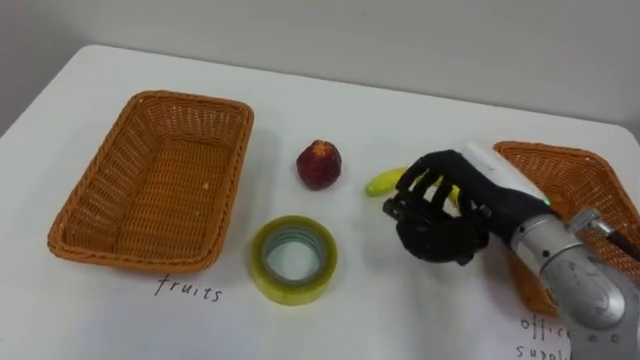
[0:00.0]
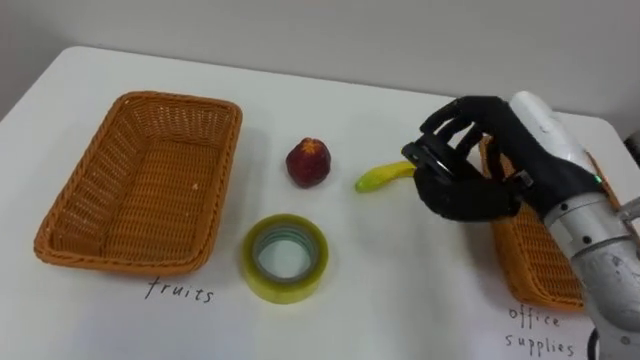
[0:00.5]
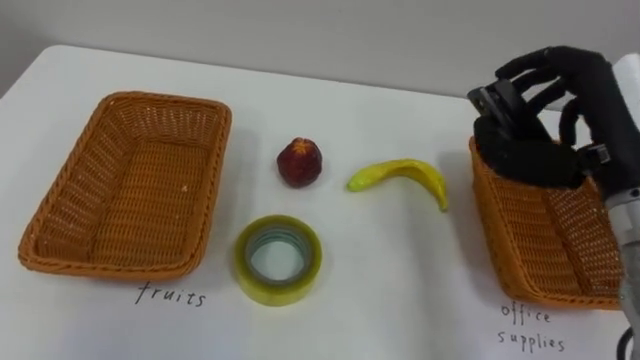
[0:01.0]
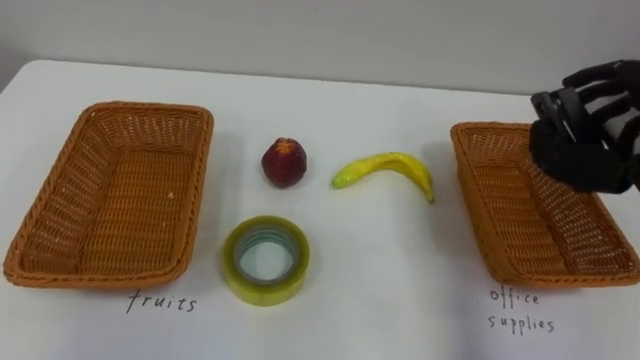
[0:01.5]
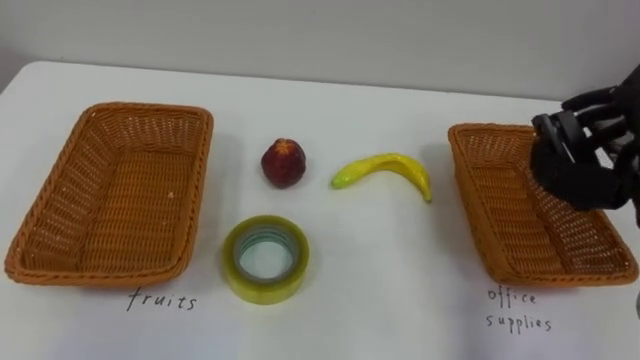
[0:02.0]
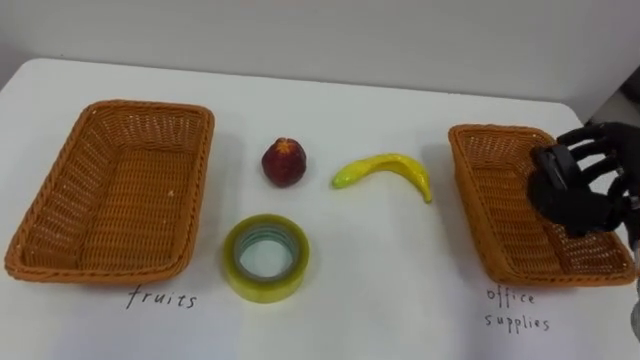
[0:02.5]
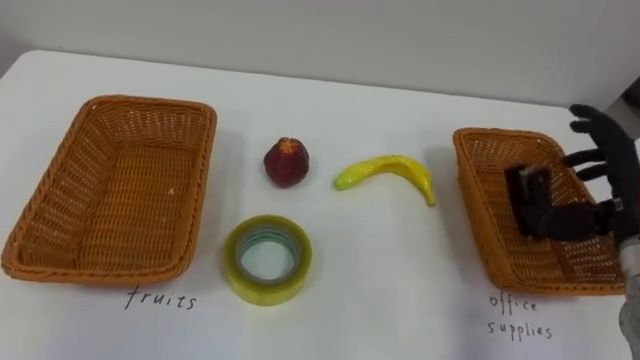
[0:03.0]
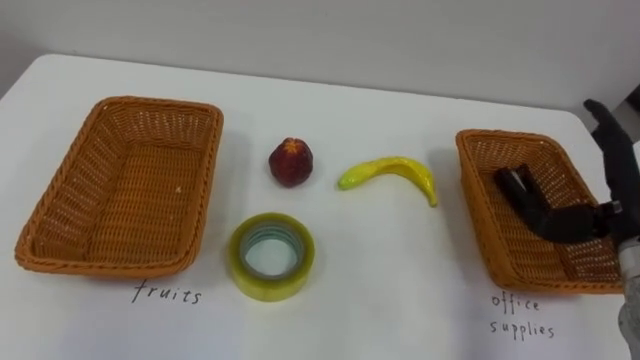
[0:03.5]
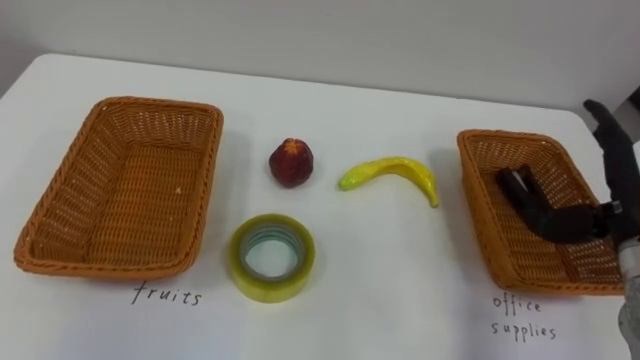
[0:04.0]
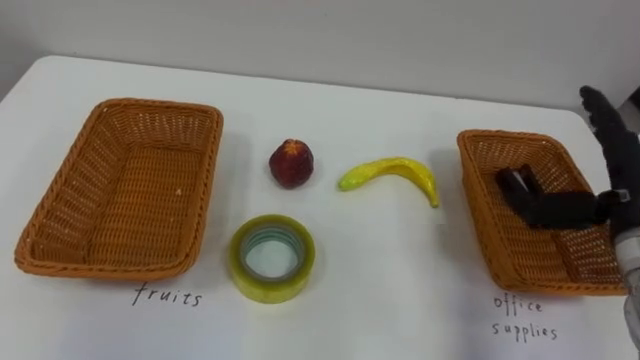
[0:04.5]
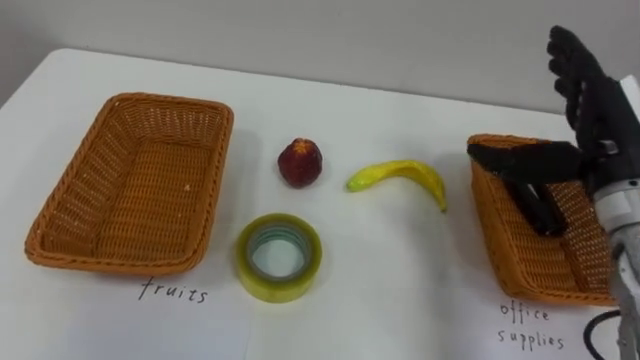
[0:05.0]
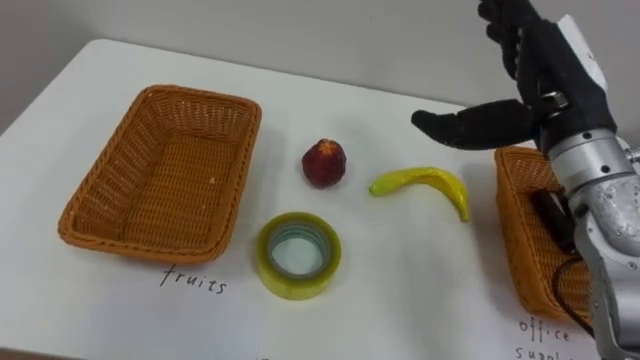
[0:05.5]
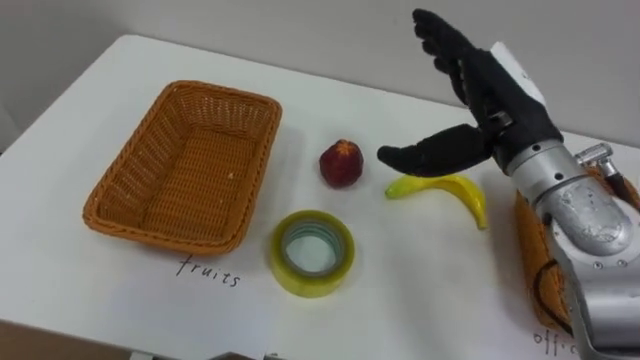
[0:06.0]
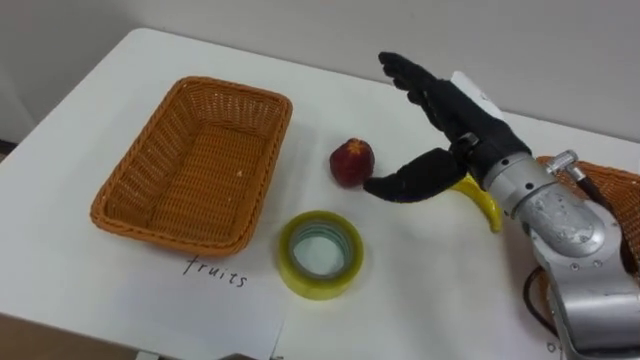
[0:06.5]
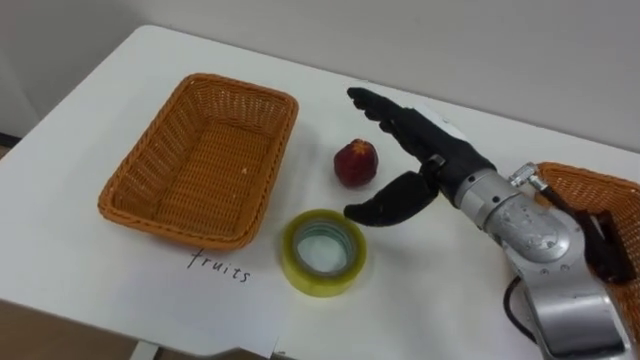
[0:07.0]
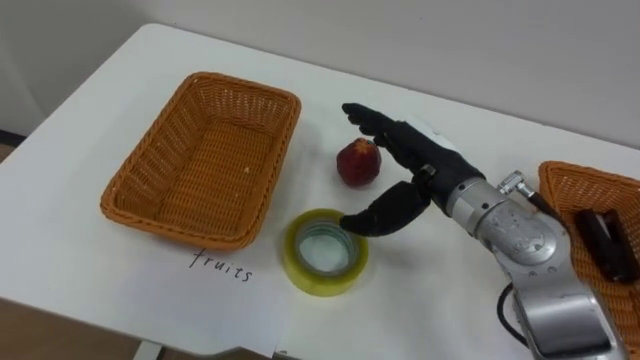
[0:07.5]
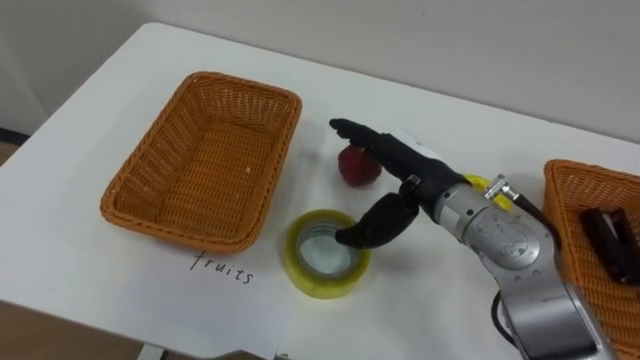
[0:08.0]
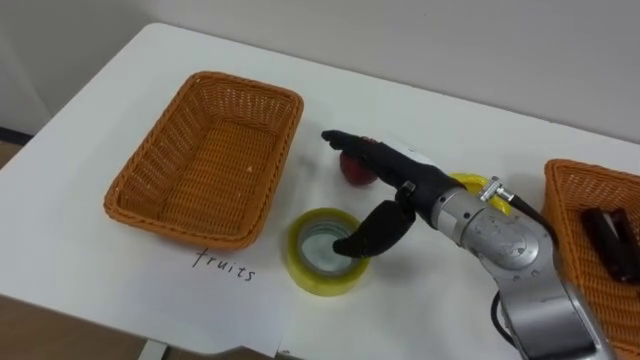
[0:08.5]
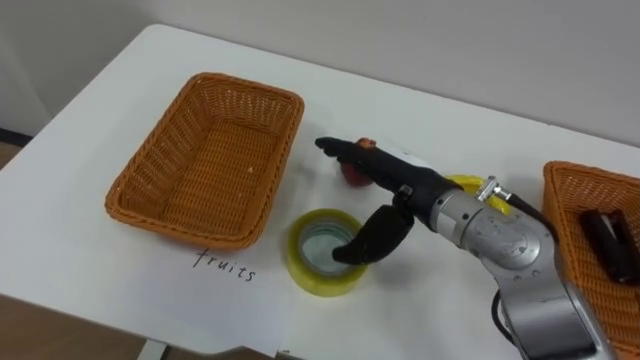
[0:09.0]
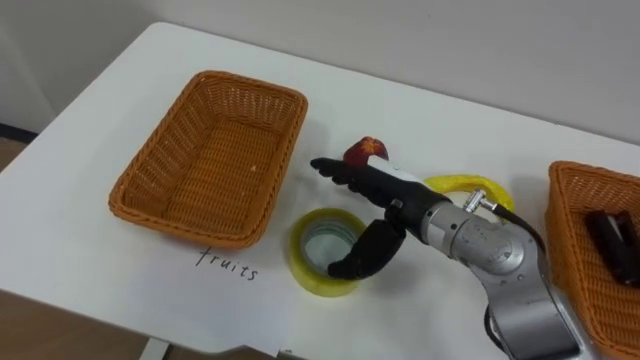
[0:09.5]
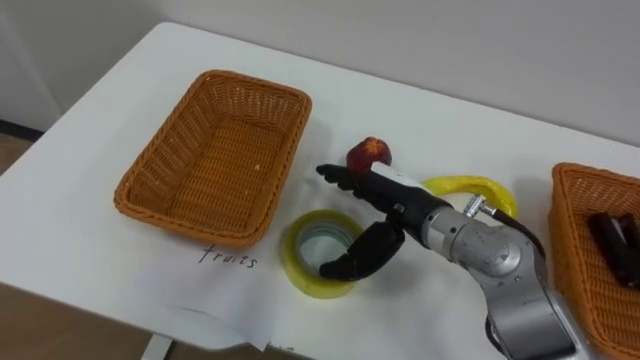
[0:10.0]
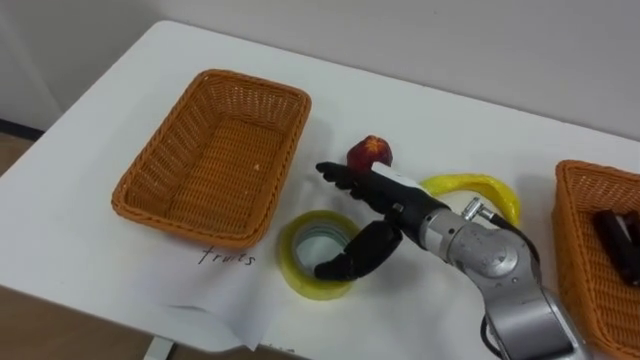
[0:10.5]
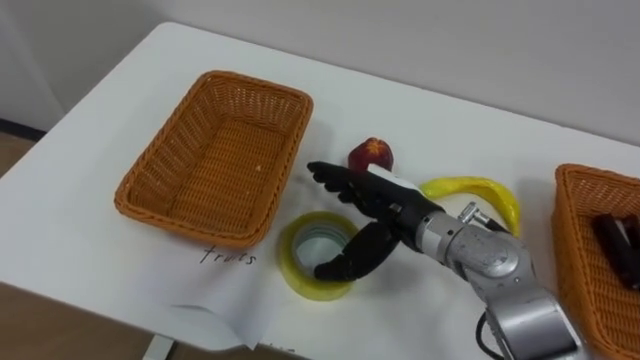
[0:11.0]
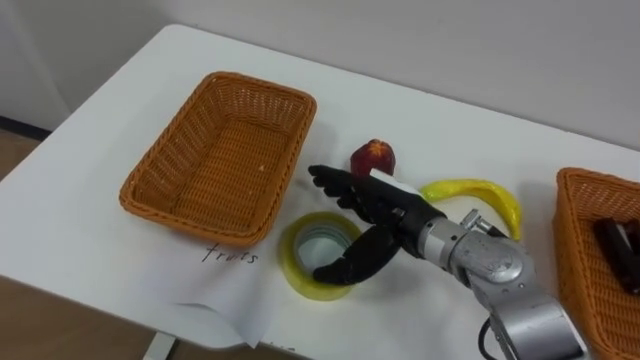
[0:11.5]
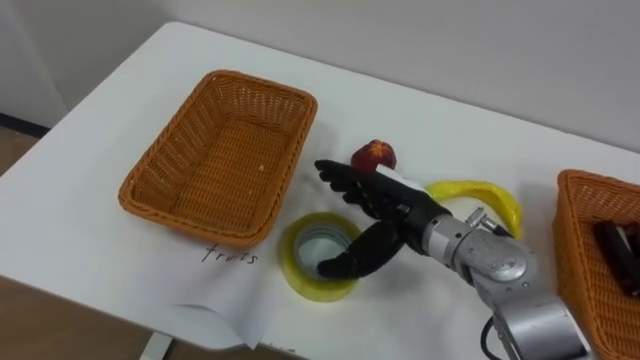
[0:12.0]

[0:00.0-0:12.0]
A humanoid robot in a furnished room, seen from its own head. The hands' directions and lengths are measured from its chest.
Task of the whole recording: Separate the items on the table and place them into the two baskets.
0:04.0 to 0:06.0: The right hand moves to the left and upward, roughly 15 cm.
0:06.0 to 0:08.0: The right hand moves downward and to the left, about 10 cm.

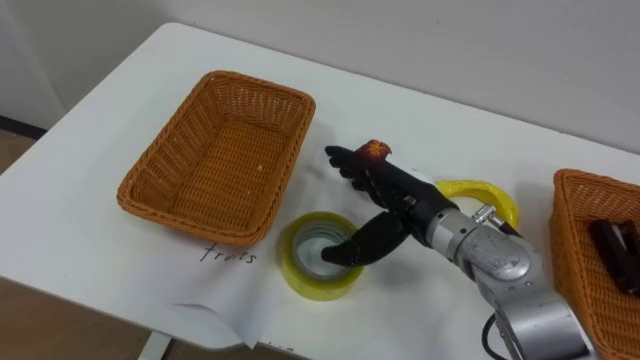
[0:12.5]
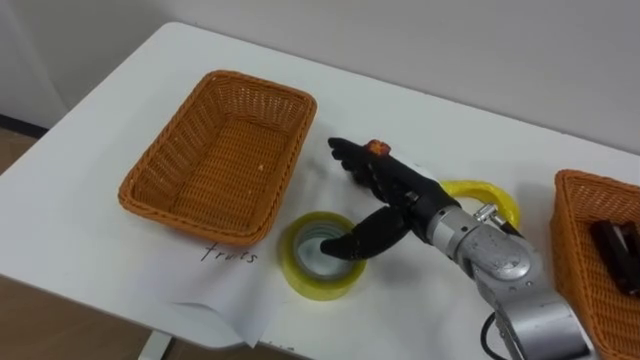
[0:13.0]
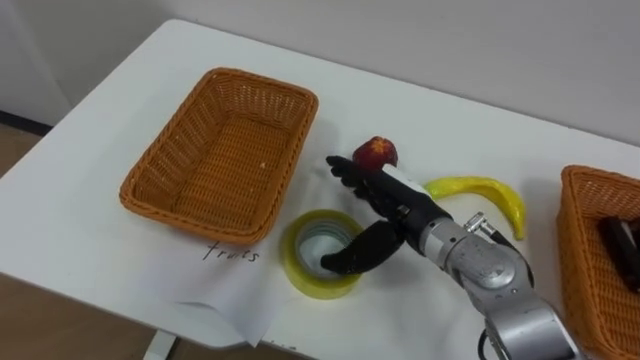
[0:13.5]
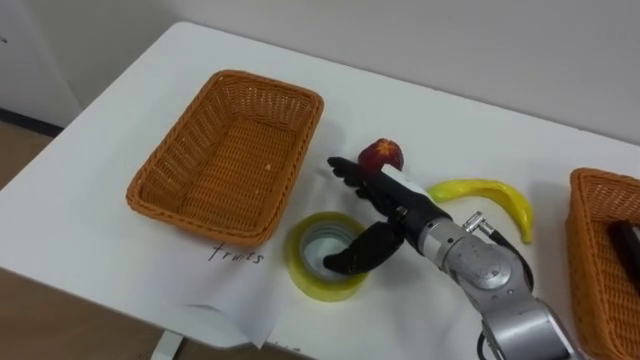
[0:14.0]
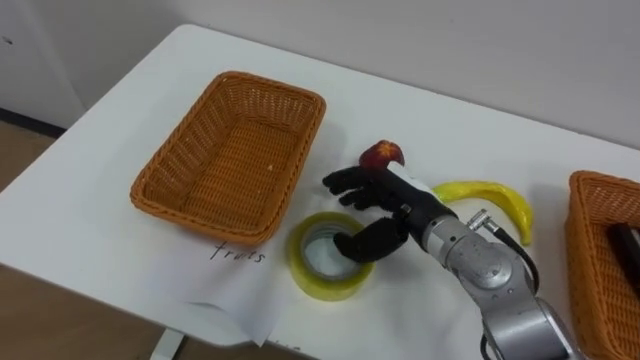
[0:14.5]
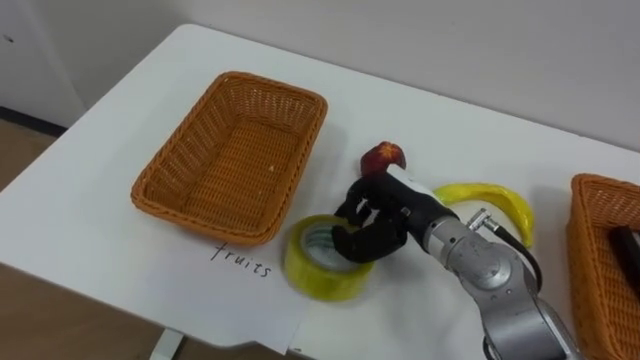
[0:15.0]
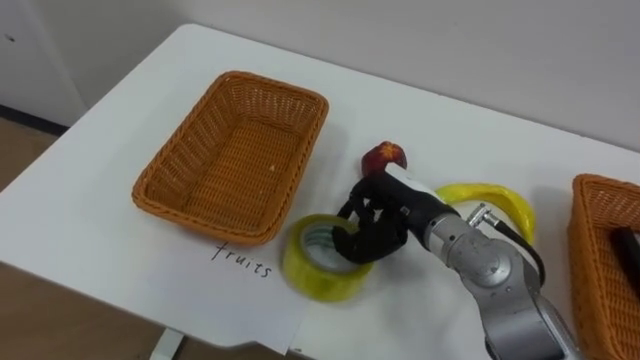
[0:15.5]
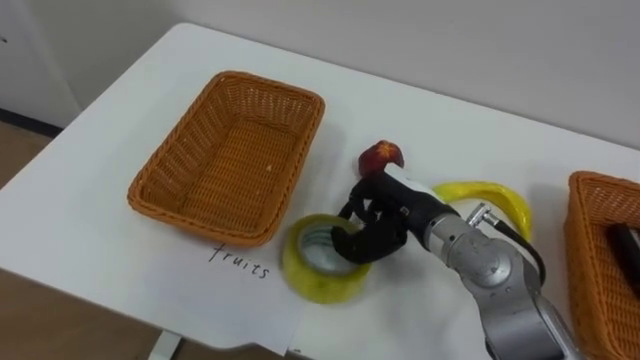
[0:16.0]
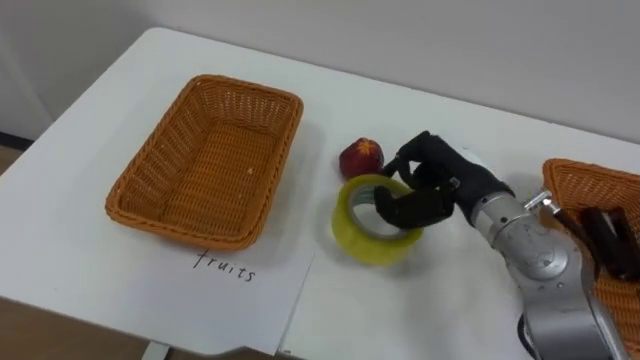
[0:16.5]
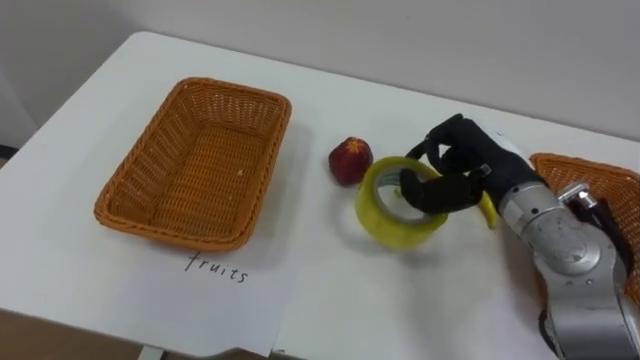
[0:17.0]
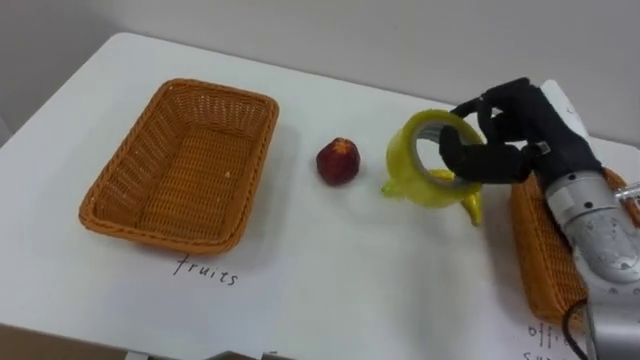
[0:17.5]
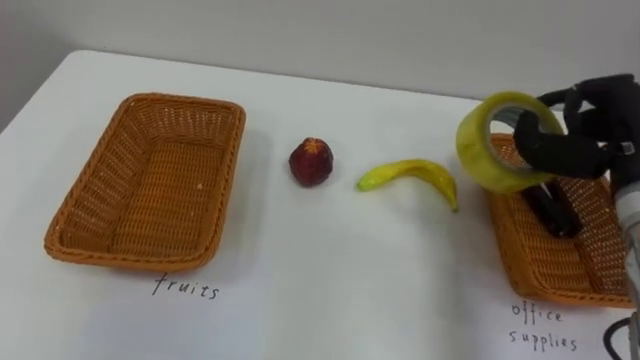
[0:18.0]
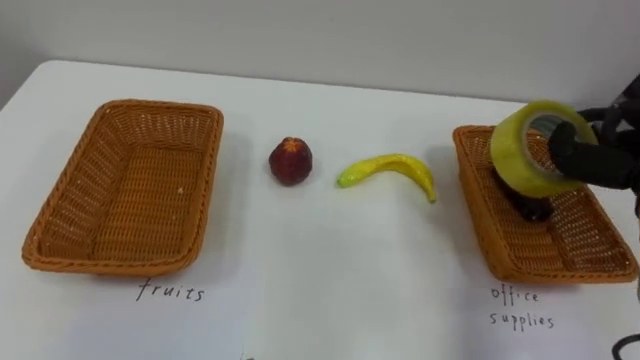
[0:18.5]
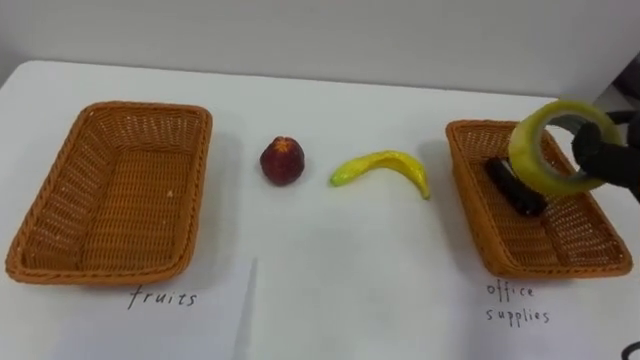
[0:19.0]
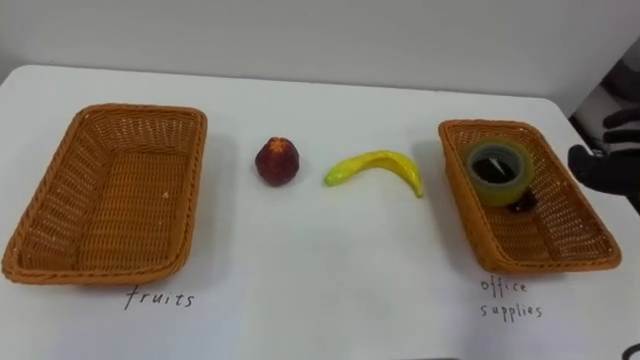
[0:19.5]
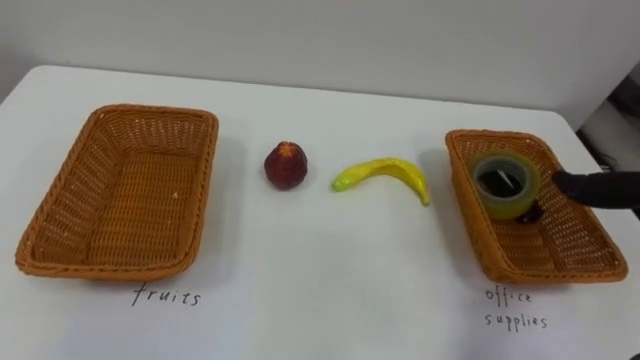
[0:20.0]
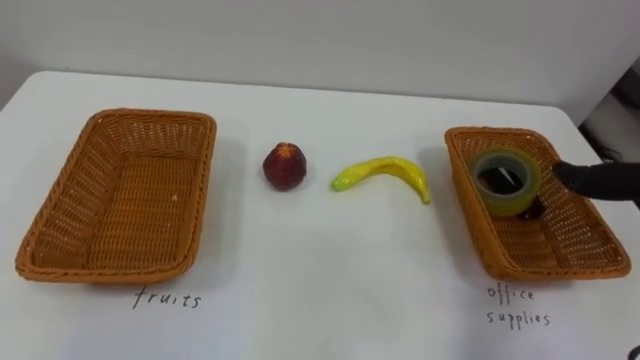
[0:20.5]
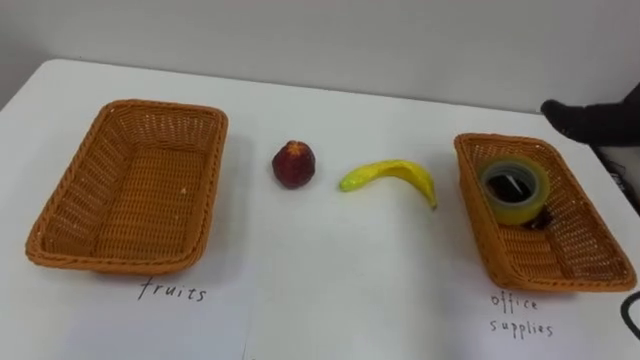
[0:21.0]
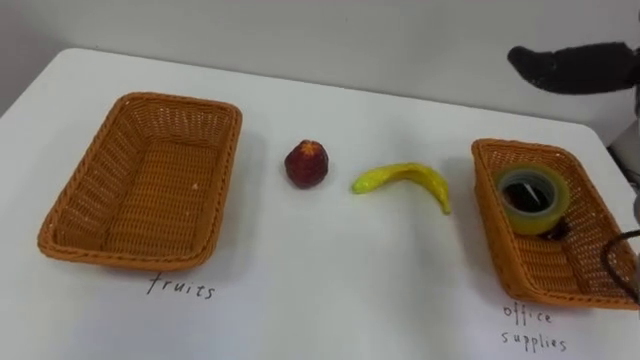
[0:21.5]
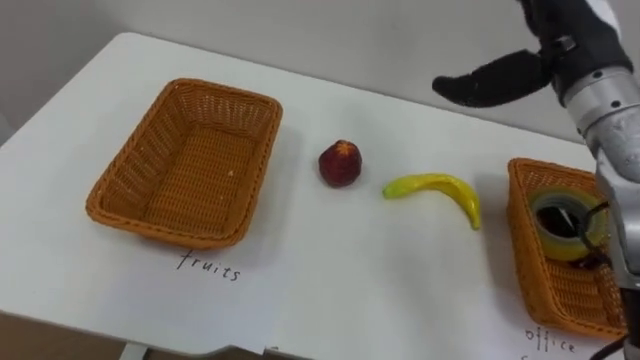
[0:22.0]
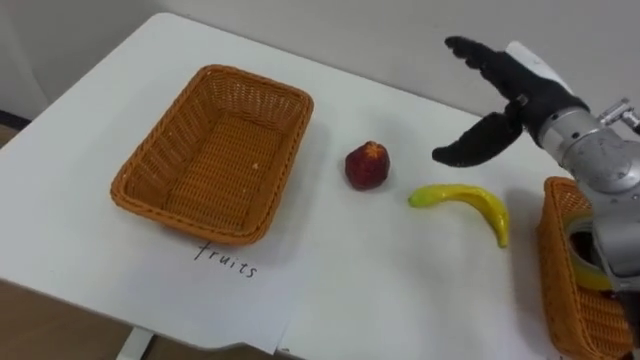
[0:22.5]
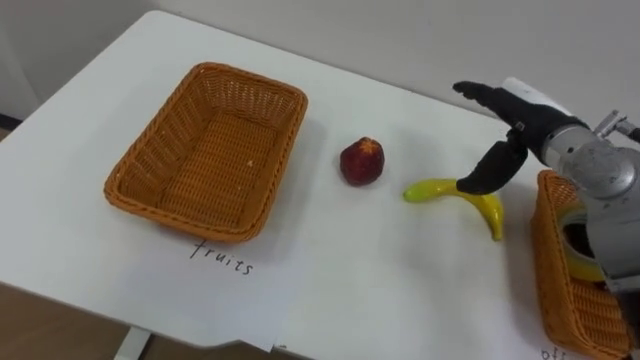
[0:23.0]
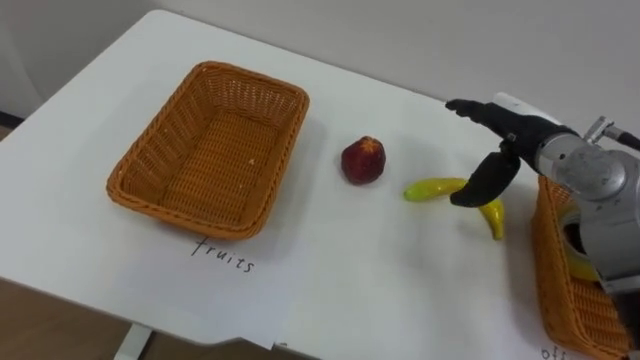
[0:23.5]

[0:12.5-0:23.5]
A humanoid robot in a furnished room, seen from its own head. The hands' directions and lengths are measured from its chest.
Task of the whole recording: Separate the items on the table and place them into the two baskets.
0:14.5 to 0:16.0: The right hand closes its fingers.
0:16.0 to 0:18.0: The right hand heads to the right and upward, covering approximately 20 cm.
